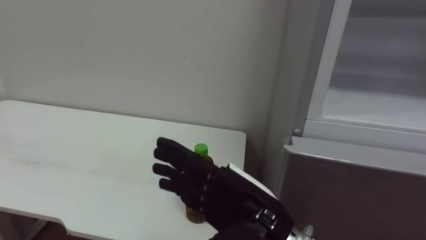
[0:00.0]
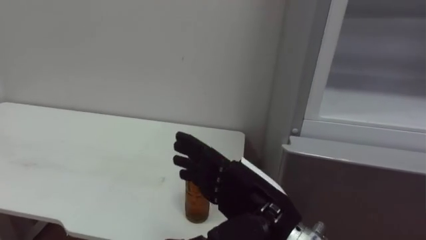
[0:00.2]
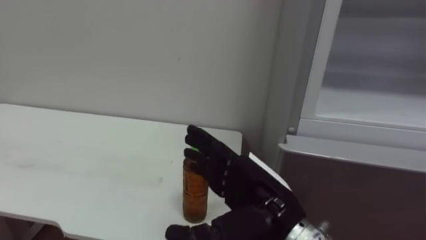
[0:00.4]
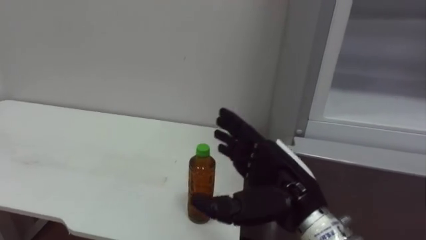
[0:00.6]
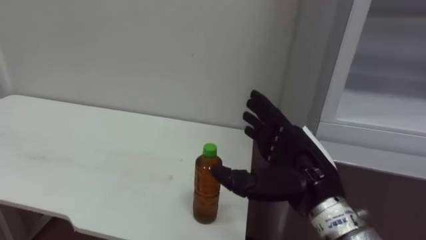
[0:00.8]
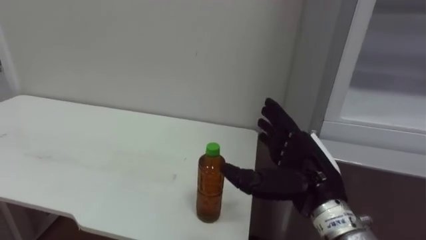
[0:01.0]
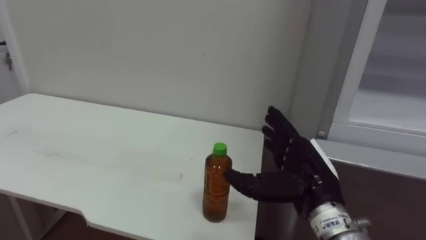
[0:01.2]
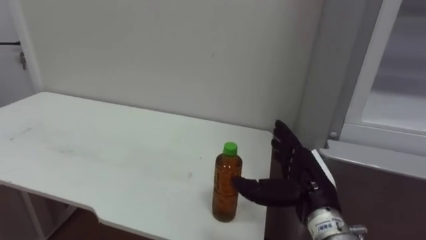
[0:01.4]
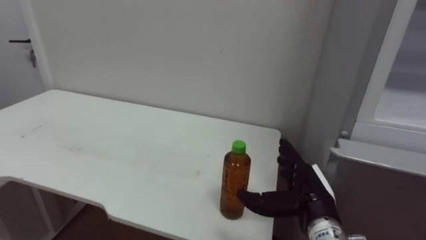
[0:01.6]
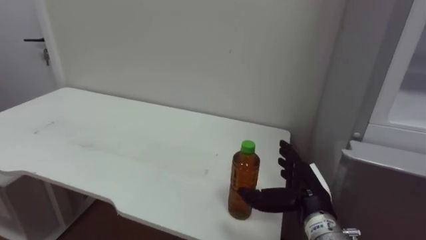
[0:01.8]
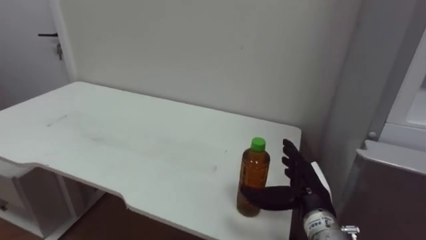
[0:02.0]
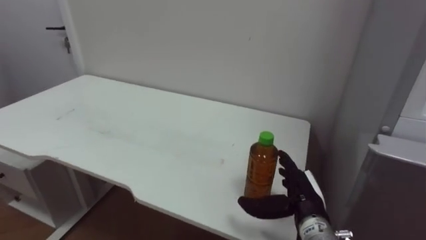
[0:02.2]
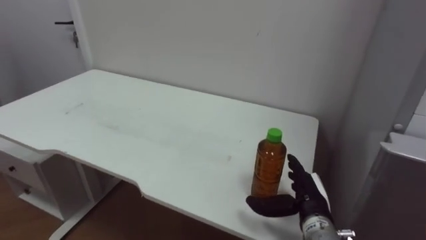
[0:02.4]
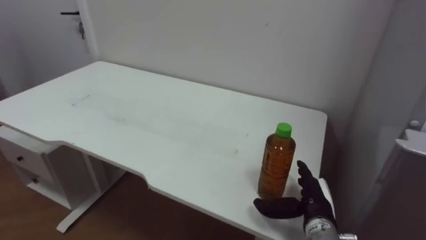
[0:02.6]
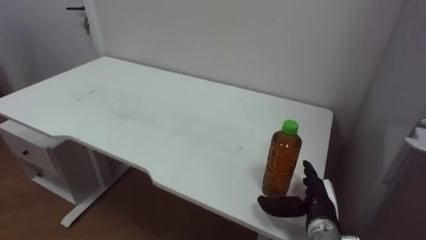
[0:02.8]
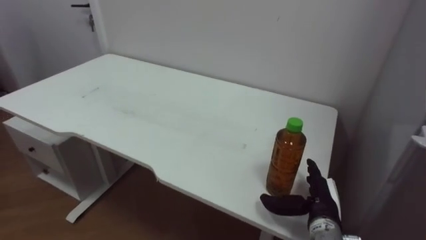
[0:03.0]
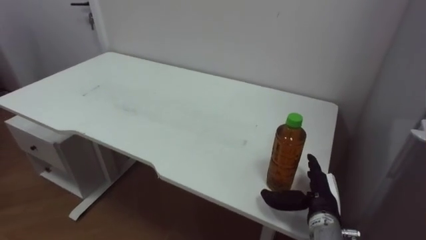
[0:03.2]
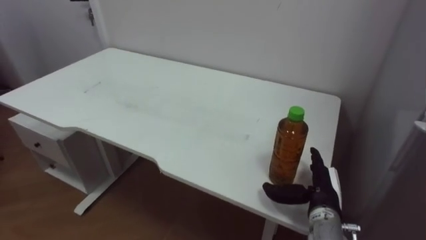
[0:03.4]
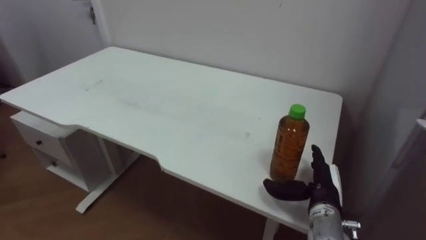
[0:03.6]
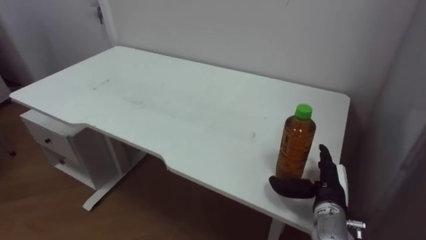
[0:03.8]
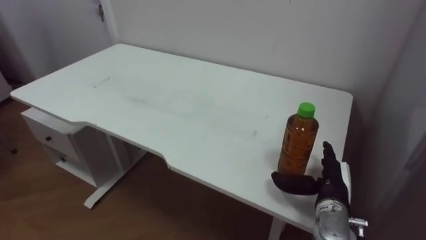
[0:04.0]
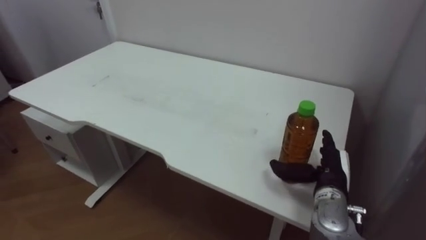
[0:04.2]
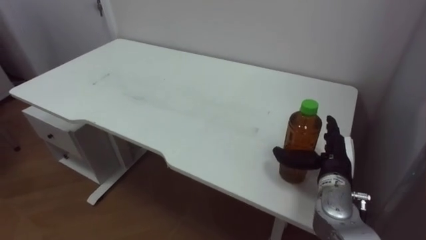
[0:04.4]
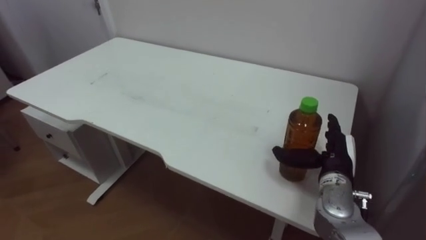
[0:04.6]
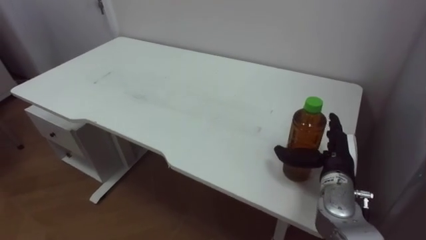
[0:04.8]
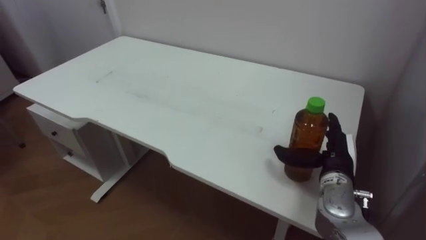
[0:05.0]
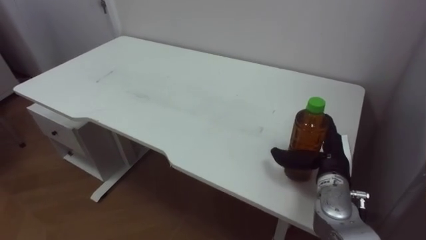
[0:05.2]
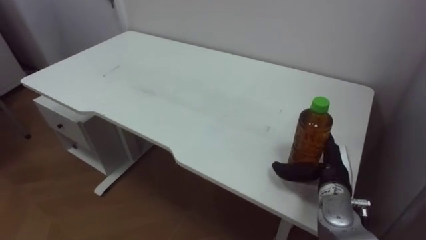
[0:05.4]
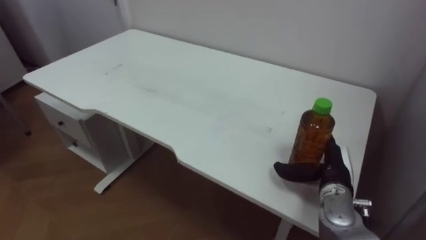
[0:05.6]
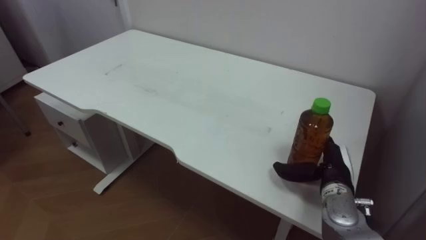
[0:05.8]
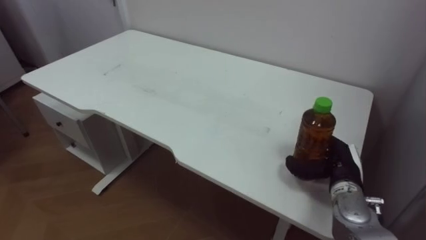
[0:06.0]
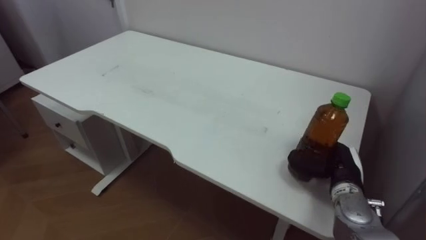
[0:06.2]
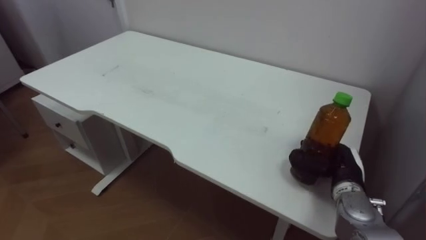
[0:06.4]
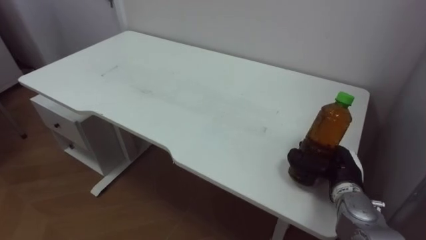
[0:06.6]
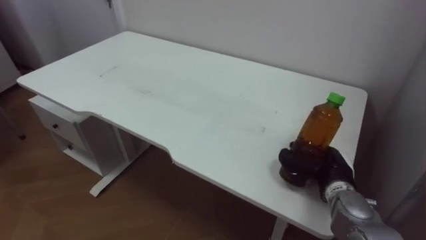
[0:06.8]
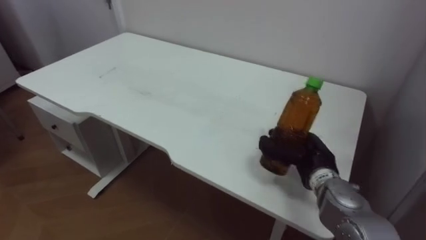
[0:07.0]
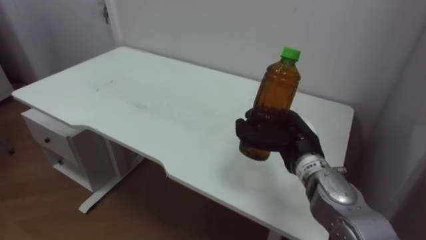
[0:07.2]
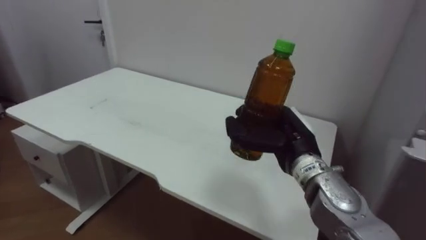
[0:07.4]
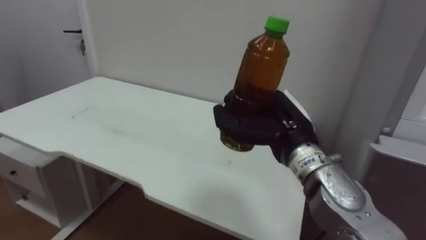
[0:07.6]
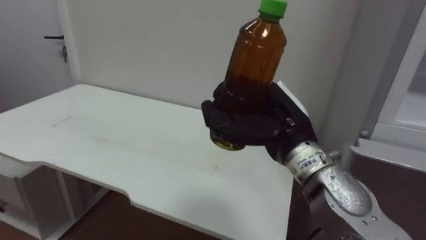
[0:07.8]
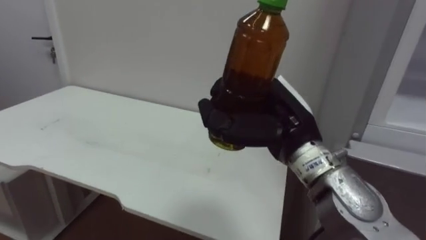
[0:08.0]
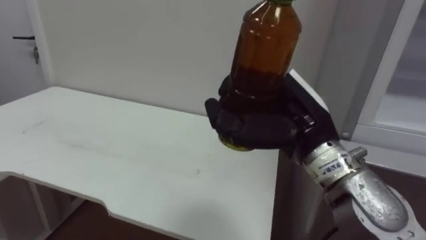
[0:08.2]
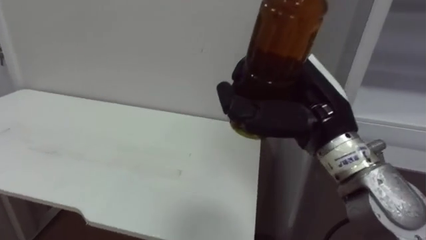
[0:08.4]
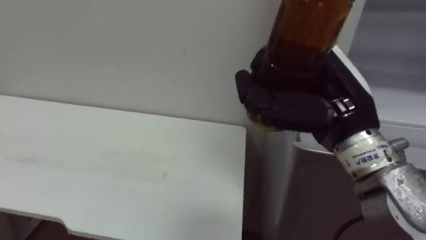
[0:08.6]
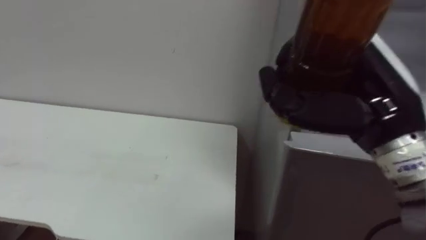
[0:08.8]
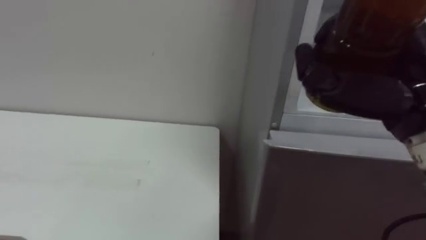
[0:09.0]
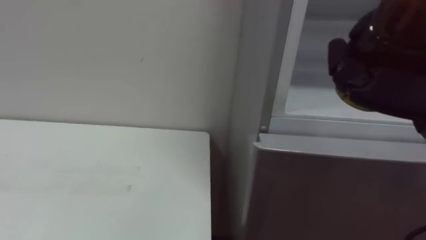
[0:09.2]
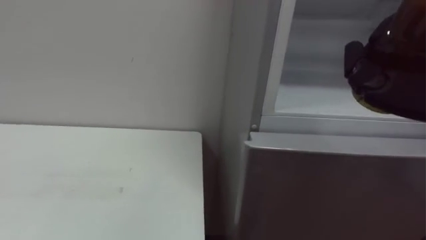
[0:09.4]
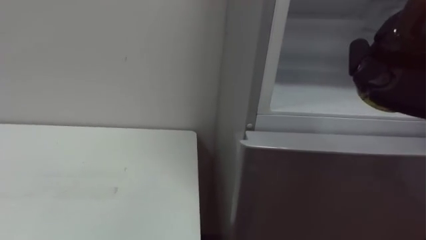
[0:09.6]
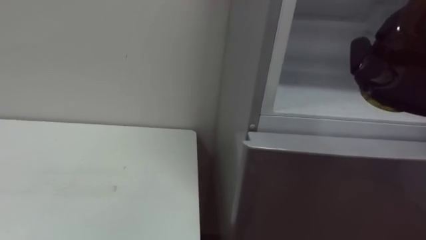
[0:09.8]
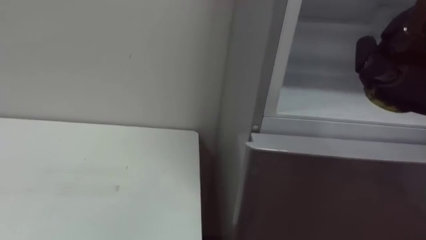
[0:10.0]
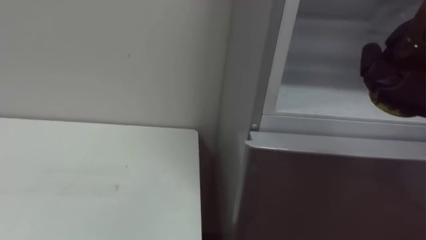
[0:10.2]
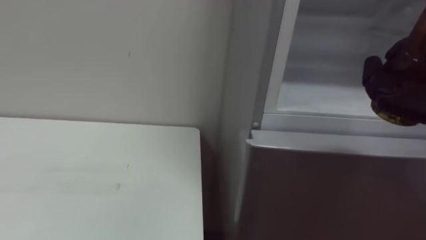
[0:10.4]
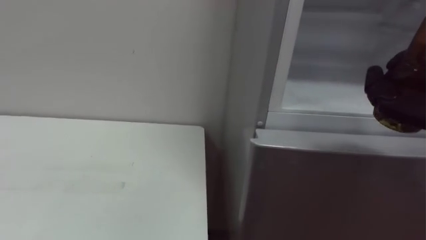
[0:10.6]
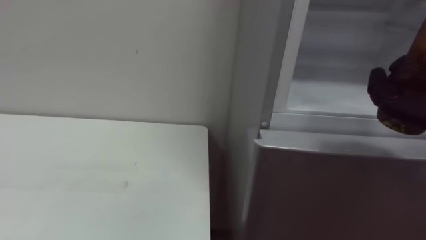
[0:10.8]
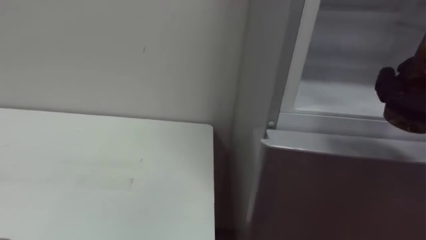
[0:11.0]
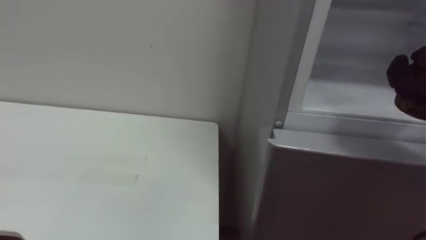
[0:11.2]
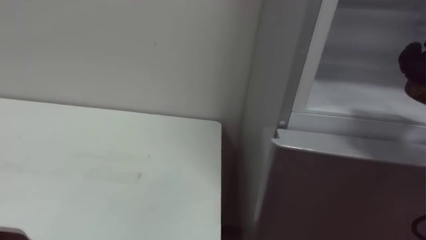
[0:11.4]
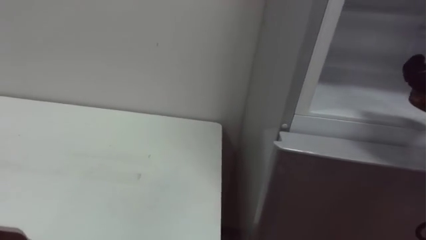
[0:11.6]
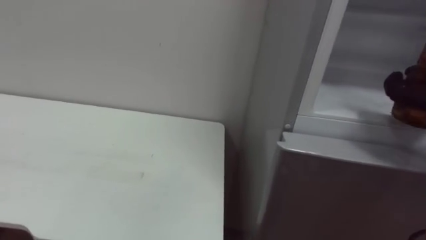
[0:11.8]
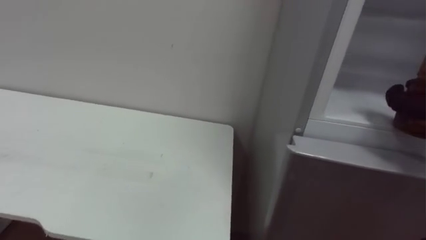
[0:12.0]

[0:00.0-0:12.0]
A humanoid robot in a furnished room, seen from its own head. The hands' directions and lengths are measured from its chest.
Task of the whole recording: Open the upper refrigerator door, put the drink from the table into the refrigerator, and then close the refrigerator door.
0:00.0 to 0:01.6: The right hand travels to the right, forward and downward by about 15 cm.
0:01.6 to 0:03.0: The right hand goes some 5 cm downward.
0:03.0 to 0:04.4: The right hand shifts about 5 cm upward.
0:06.0 to 0:07.6: The right hand goes roughly 20 cm upward and to the left, and closes up.
0:07.6 to 0:09.0: The right hand shifts some 20 cm upward, to the right and backward.

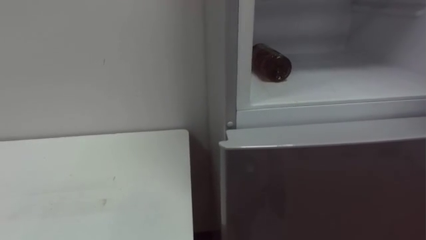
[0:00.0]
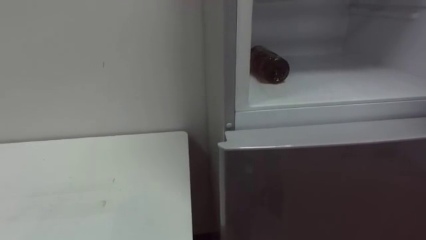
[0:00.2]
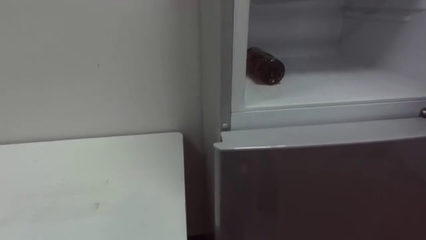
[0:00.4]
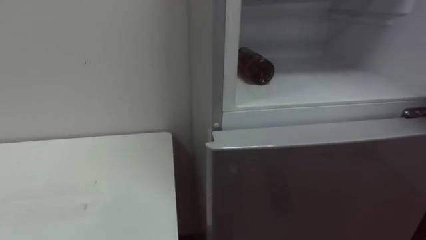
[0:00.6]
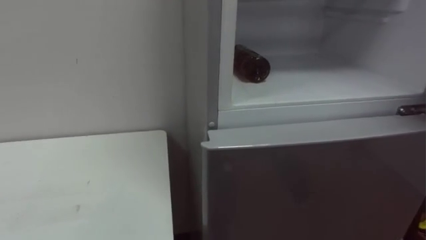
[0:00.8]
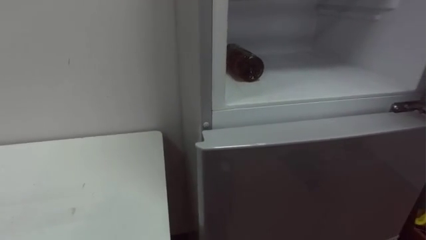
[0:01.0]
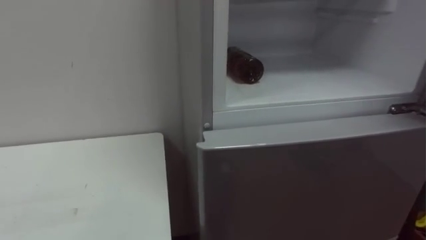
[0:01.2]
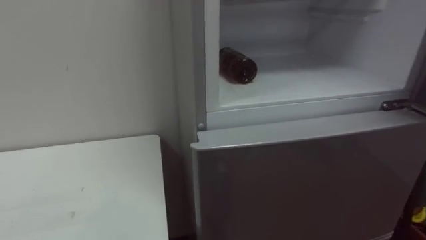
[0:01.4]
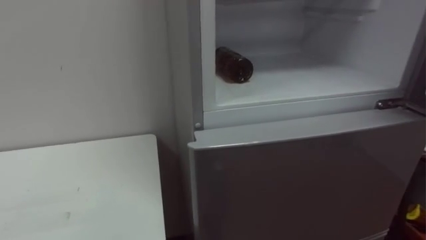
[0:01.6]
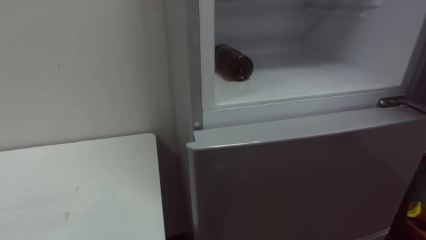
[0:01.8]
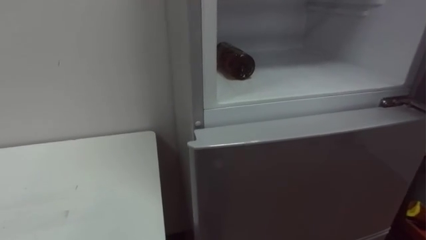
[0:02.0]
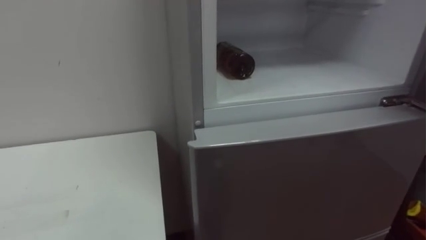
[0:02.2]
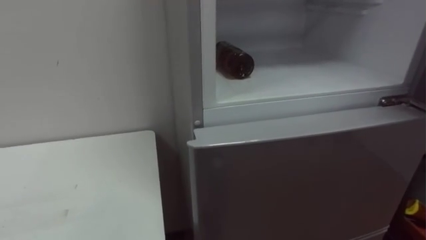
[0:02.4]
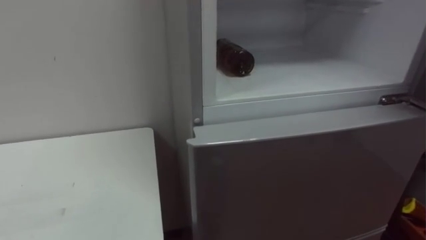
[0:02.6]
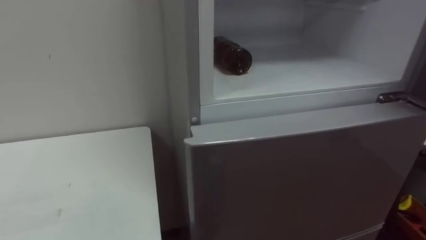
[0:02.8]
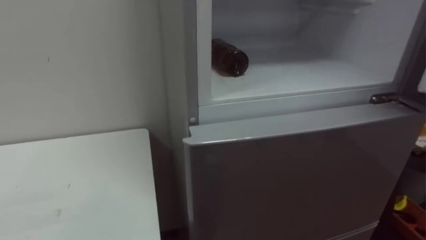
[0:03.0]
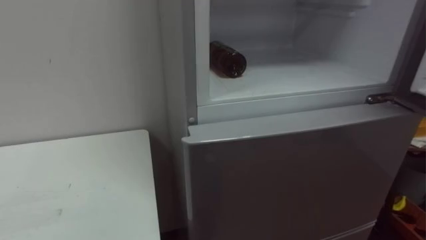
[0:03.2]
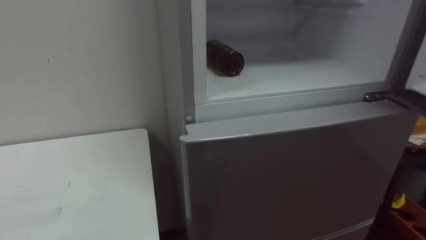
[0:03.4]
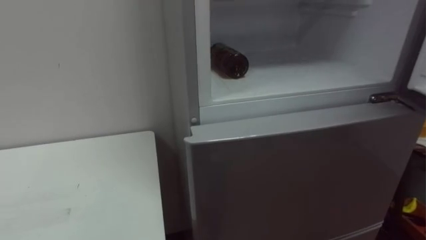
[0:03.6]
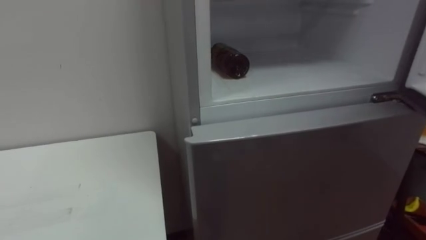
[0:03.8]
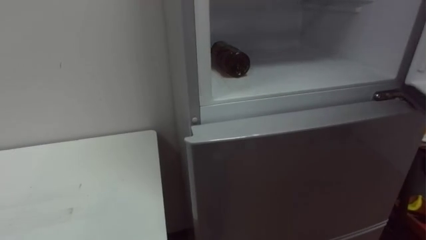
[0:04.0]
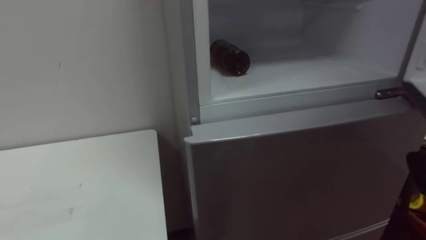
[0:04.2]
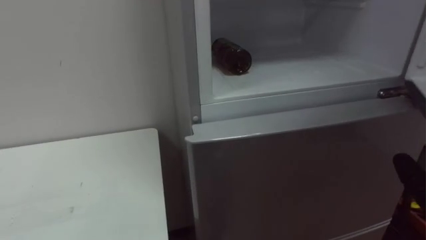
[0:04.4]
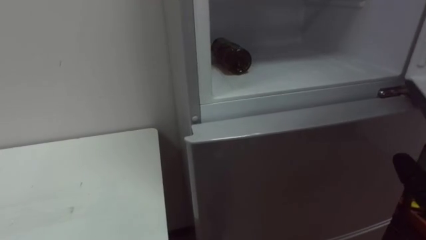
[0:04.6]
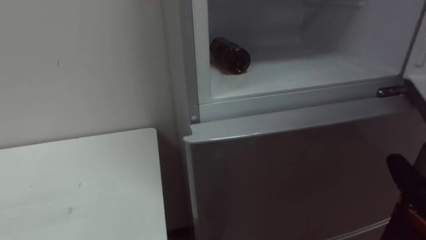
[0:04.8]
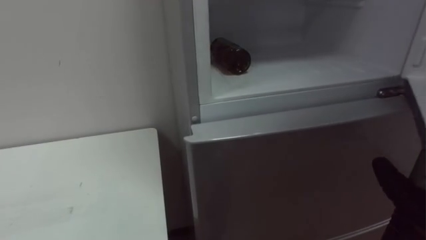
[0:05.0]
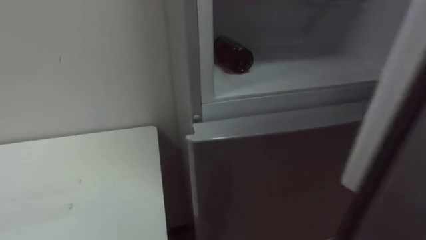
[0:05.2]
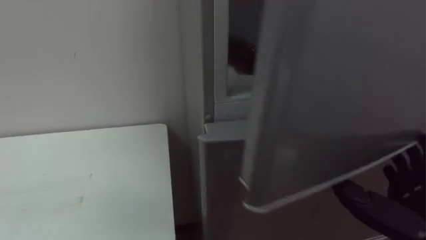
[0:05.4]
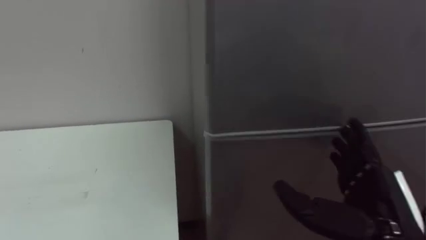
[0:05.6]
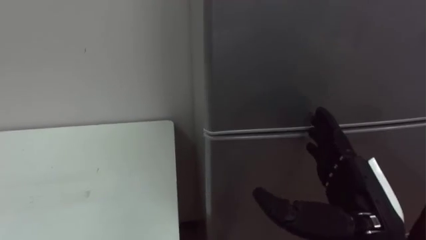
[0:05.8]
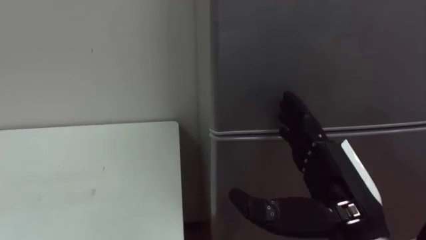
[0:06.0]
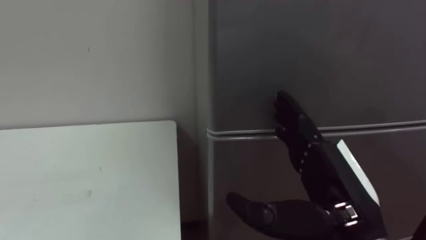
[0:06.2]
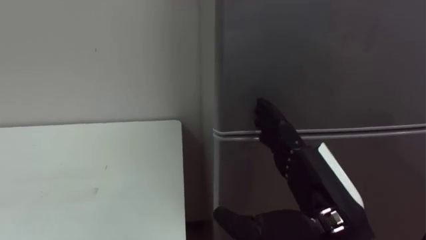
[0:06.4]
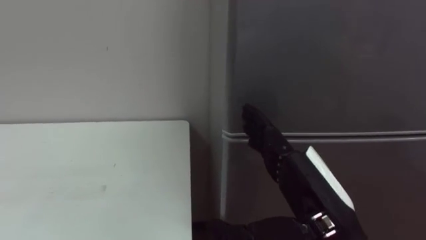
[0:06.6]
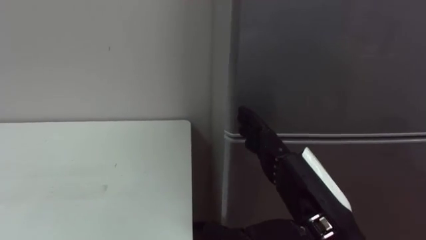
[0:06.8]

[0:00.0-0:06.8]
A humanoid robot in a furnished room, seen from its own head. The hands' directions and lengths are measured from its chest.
Task of the whole recording: Open the upper refrigerator door, put the drink from the table into the refrigerator, and then close the refrigerator door.
0:05.4 to 0:06.8: The right hand travels to the left by approximately 15 cm.
